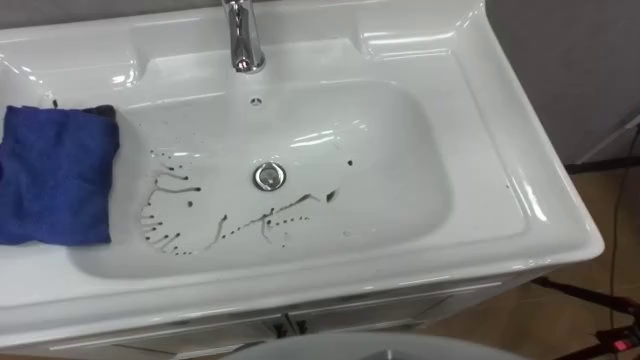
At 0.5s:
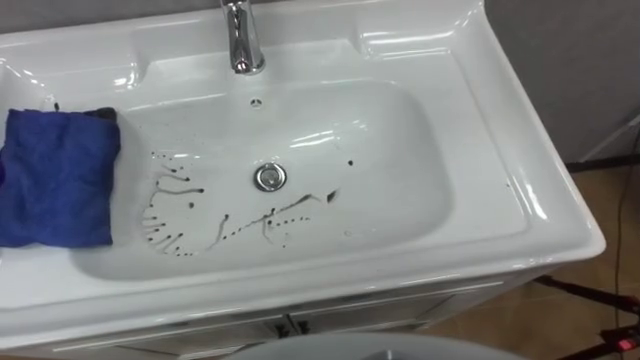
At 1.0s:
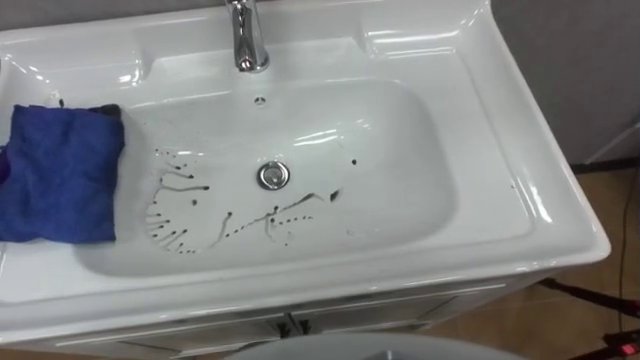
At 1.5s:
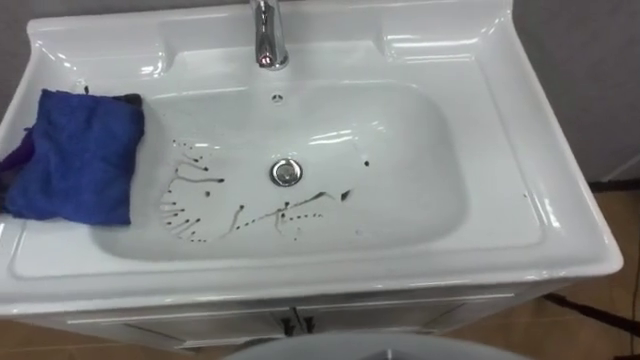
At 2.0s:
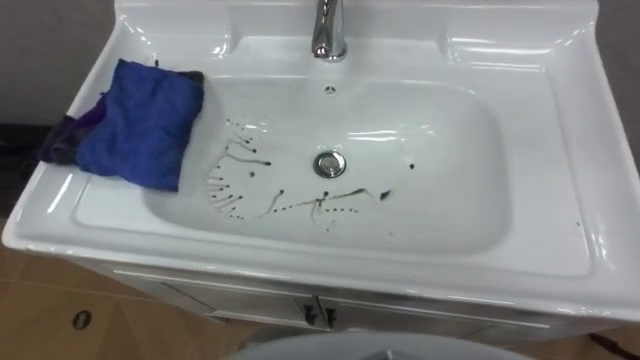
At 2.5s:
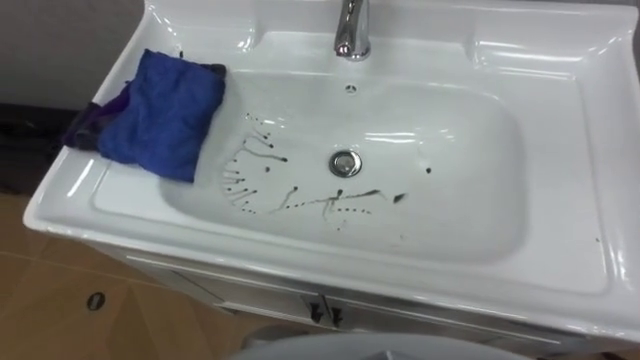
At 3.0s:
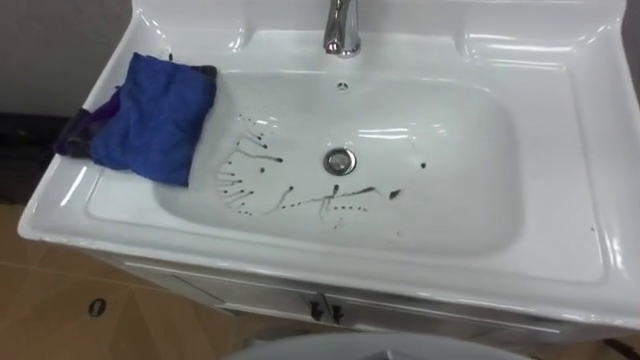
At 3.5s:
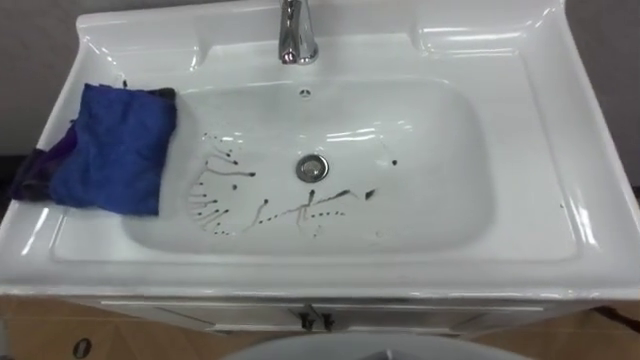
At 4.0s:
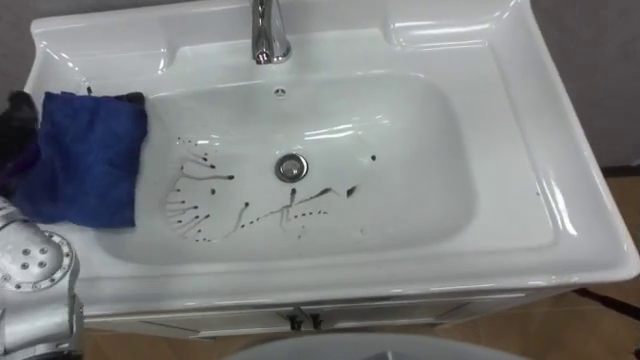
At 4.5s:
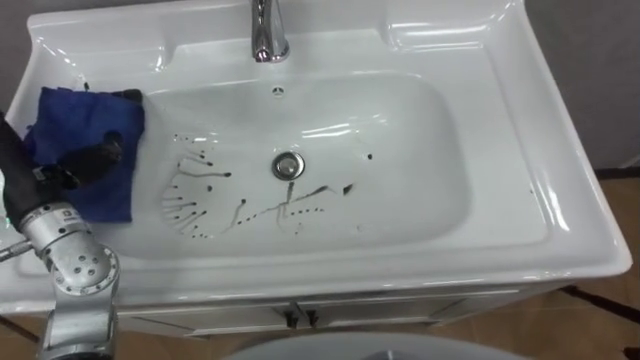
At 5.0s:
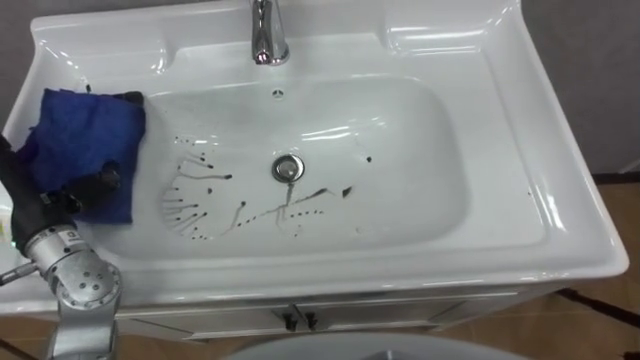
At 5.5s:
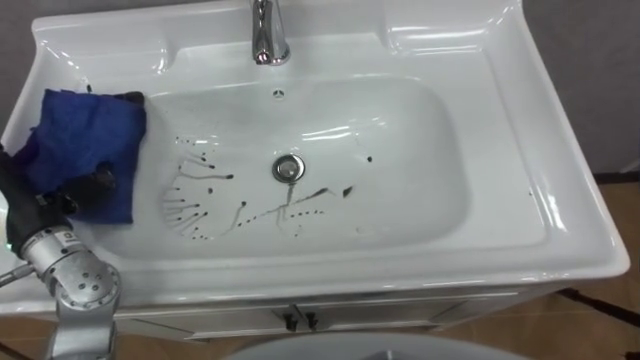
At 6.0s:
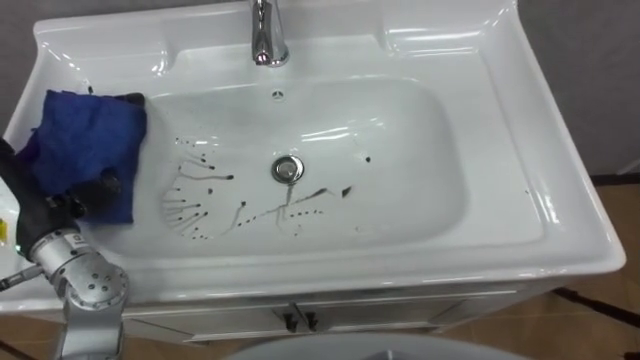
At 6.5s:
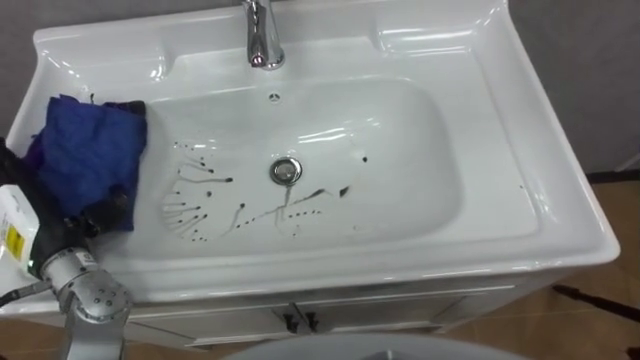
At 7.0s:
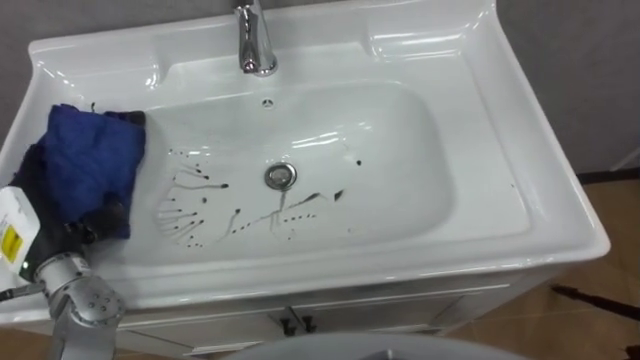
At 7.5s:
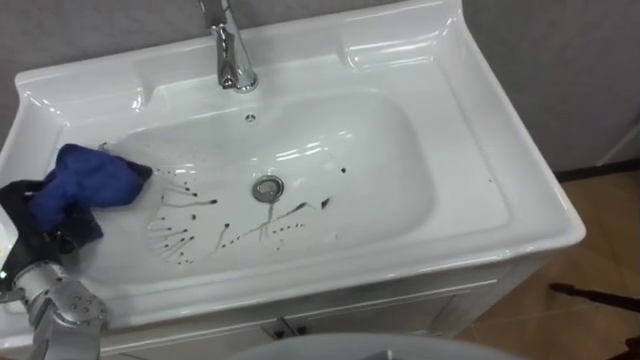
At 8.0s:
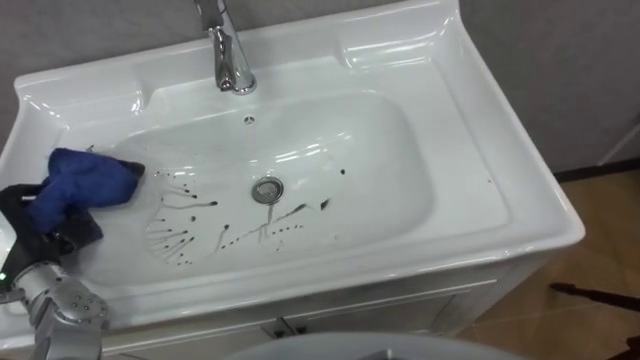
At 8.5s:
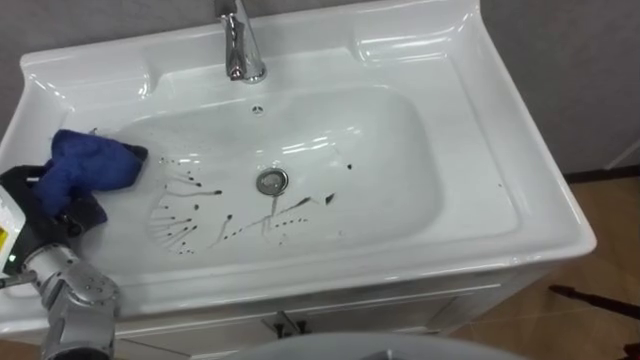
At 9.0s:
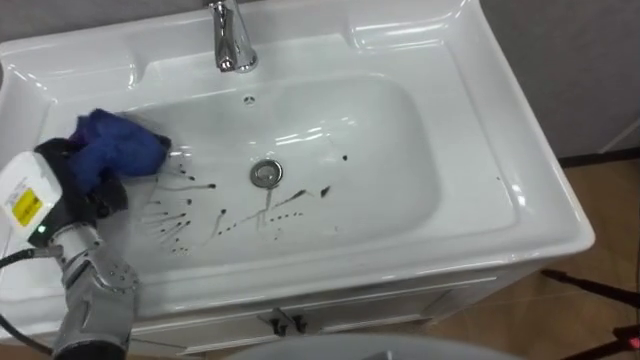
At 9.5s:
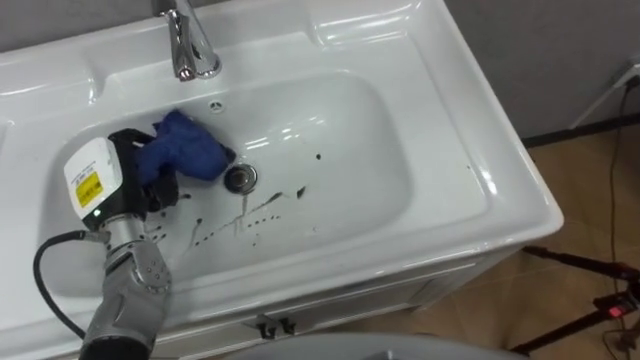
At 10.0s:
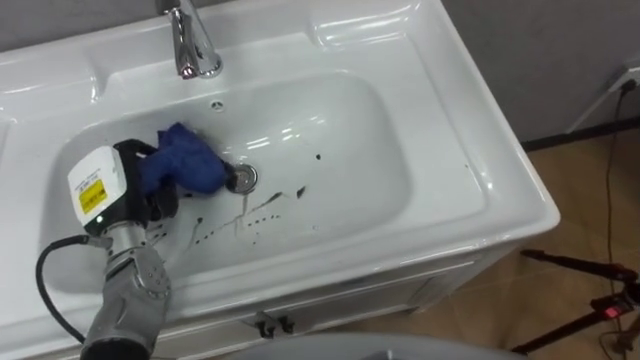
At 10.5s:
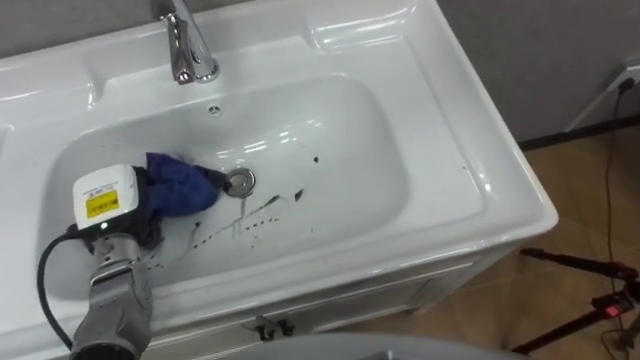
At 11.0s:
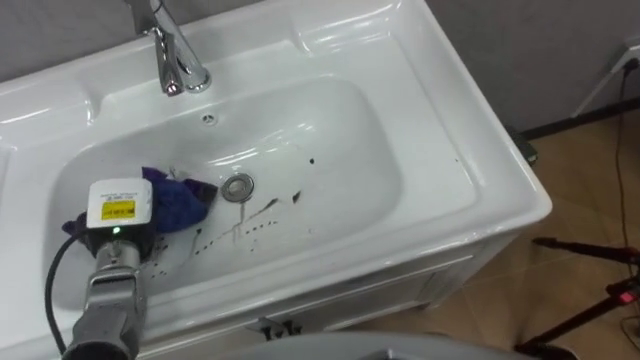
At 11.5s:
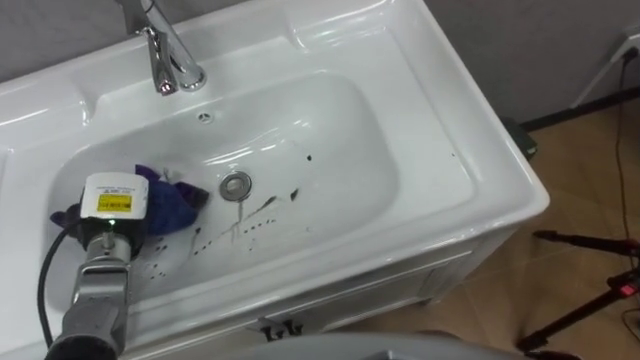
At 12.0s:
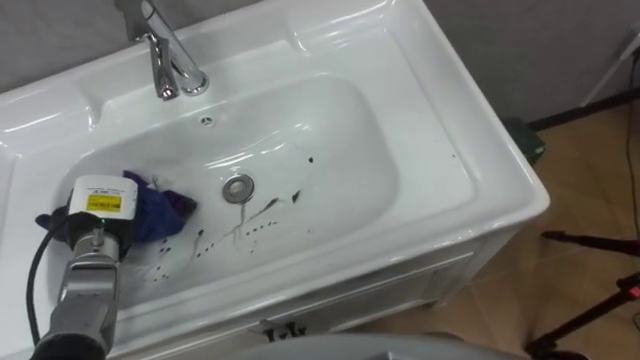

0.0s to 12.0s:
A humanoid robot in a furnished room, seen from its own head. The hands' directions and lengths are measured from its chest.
Task of the whole recording: Use the cloth on the right to wipe away the black stain in the sink.
6.0s to 8.0s: The left hand travels downward by about 5 cm, and closes.
8.0s to 10.0s: The left hand moves to the right and forward, approximately 15 cm.
10.0s to 12.0s: The left hand travels downward by roughly 5 cm.

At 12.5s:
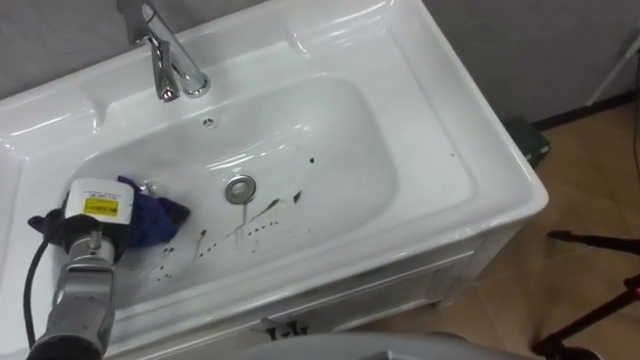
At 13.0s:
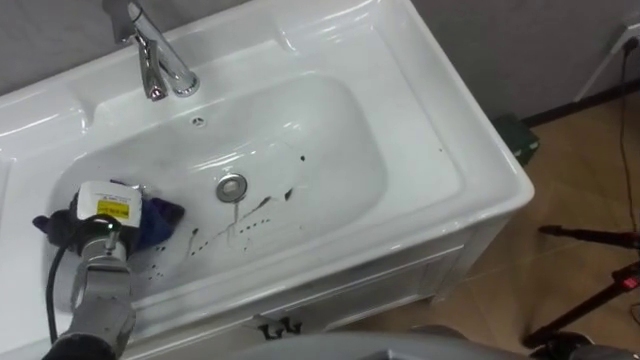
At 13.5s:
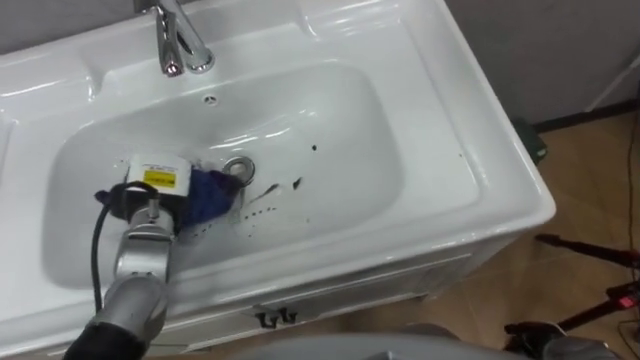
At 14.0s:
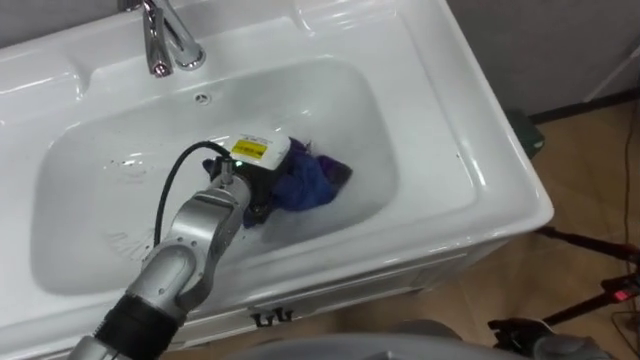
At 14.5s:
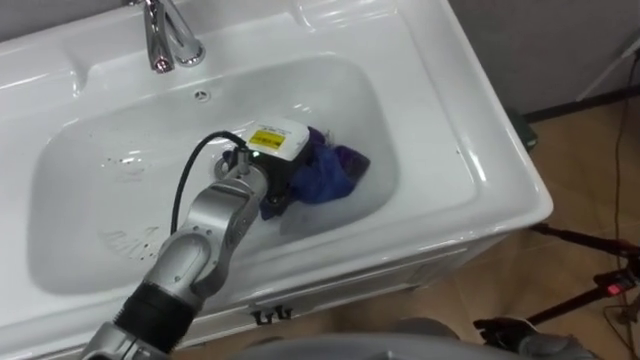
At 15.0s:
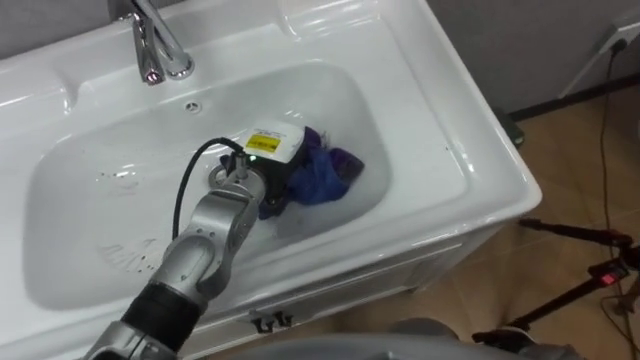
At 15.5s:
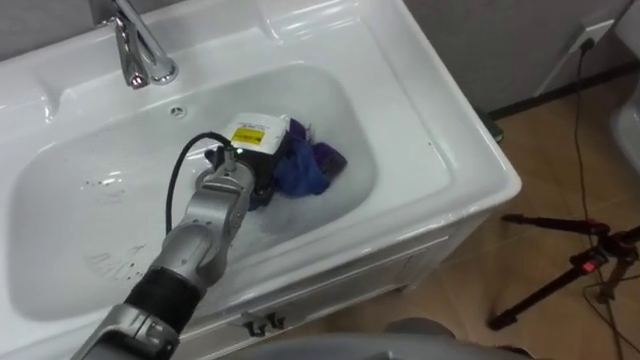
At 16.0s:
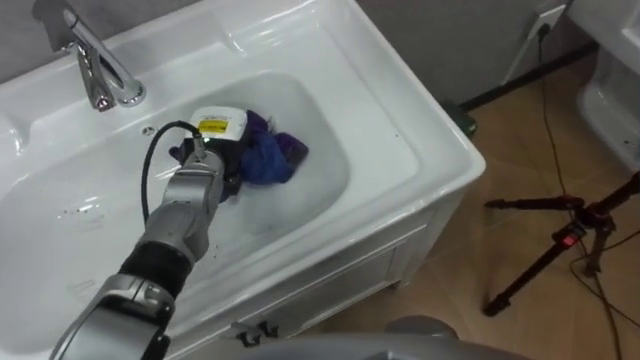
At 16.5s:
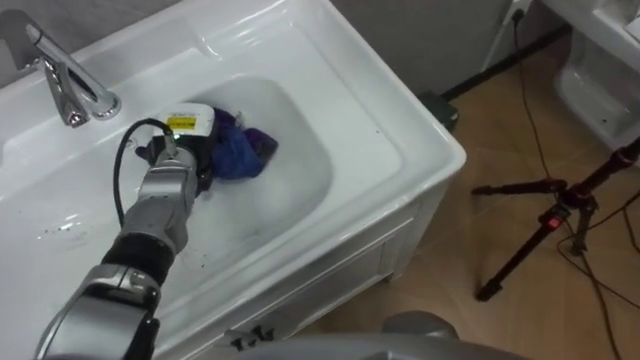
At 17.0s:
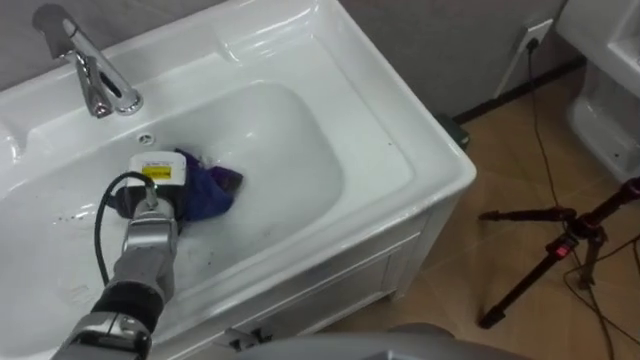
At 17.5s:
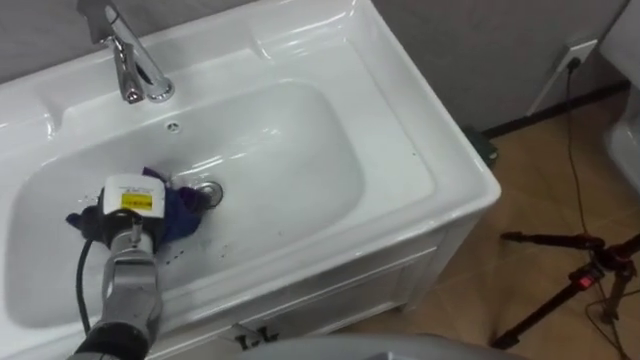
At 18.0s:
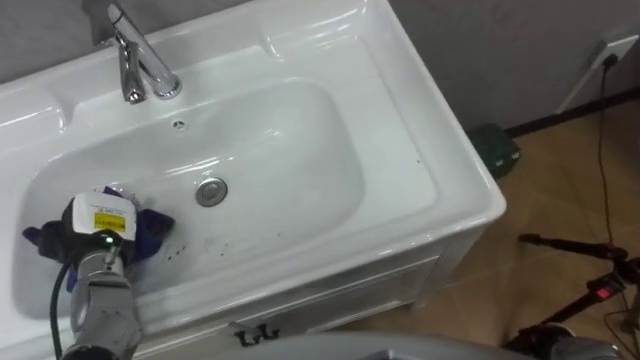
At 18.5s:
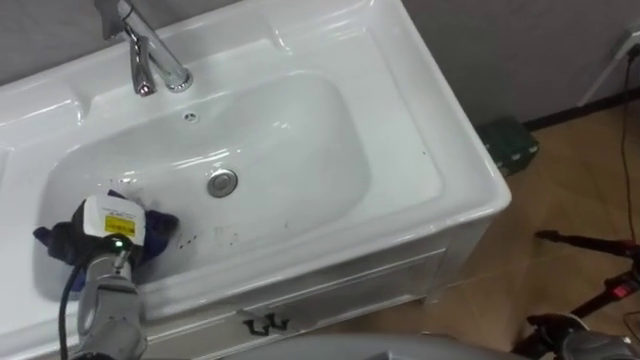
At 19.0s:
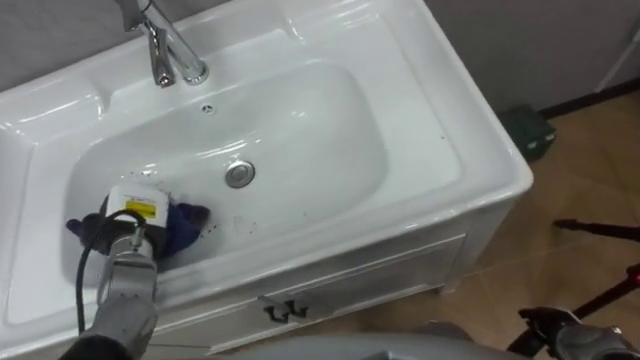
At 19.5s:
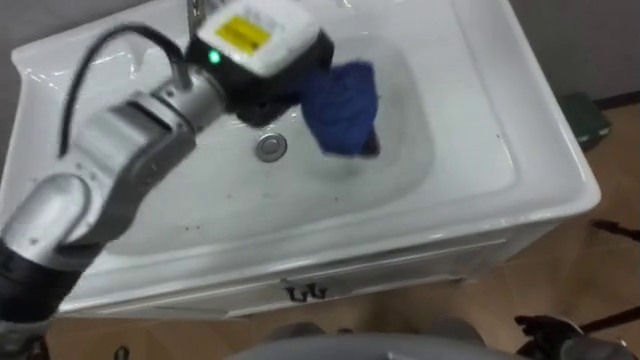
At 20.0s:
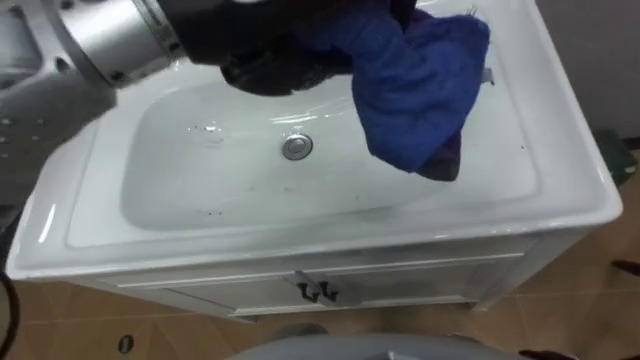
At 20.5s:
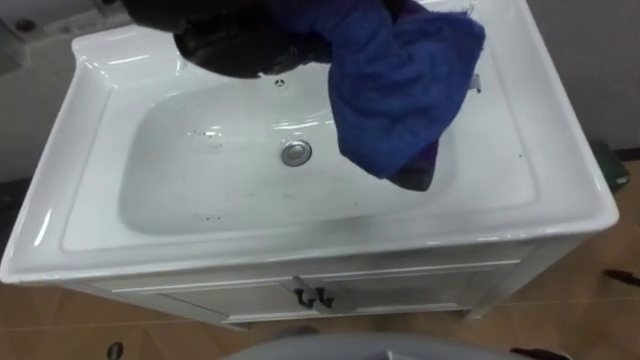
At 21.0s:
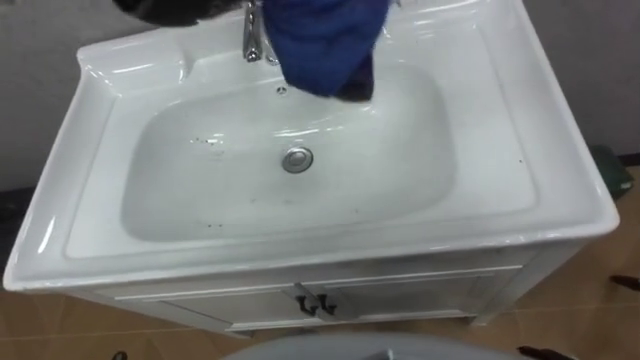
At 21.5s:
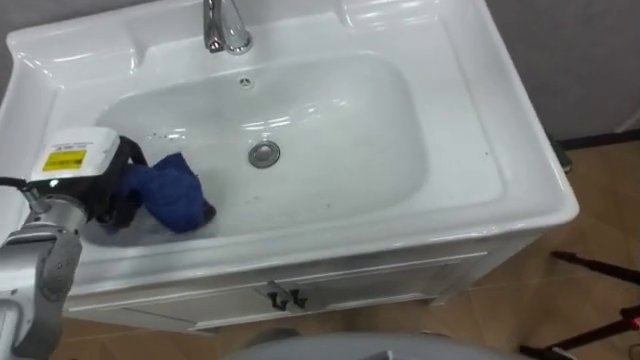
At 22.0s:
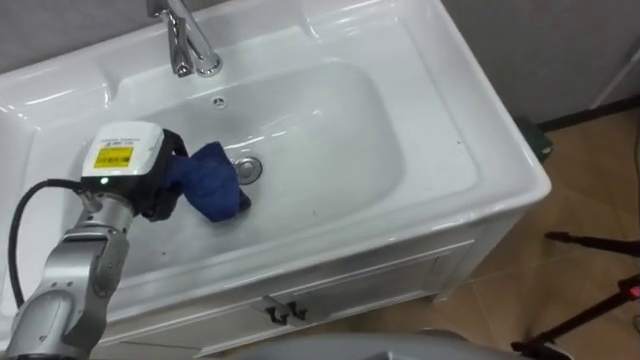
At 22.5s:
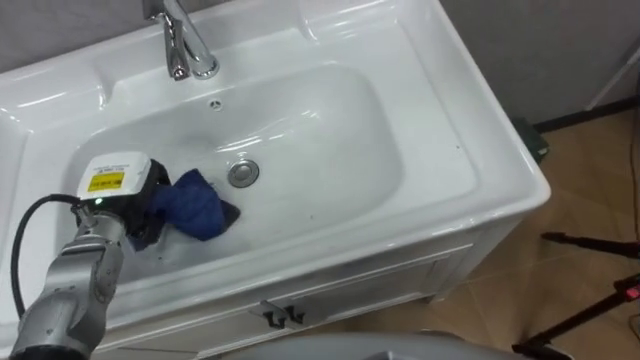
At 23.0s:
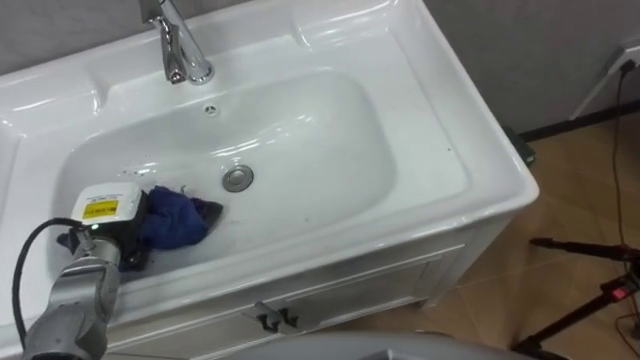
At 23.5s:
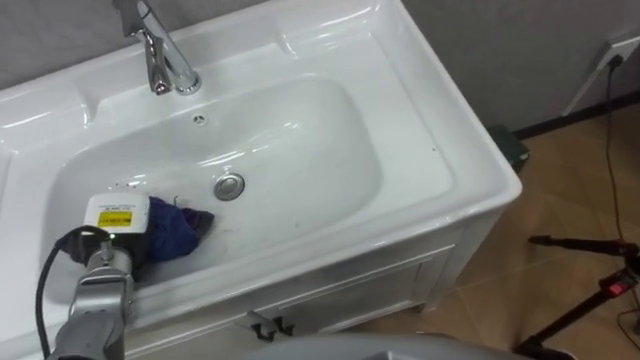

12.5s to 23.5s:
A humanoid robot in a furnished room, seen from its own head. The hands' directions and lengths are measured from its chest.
Task of the whole recording: Use the cloth on the right to wipe away the black stain in the sink.
12.5s to 14.5s: The left hand heads to the right, covering roughly 25 cm.
14.5s to 16.0s: The left hand moves to the left, approximately 10 cm.
16.0s to 18.0s: The left hand heads to the left and backward, covering approximately 20 cm.
18.0s to 20.0s: The left hand is displaced upward and to the right by roughly 50 cm.
21.5s to 23.5s: The left hand goes some 10 cm downward.
